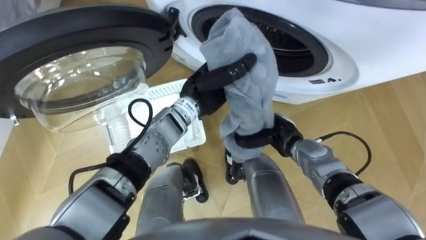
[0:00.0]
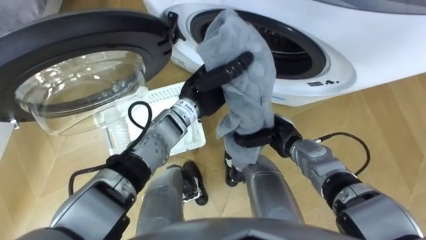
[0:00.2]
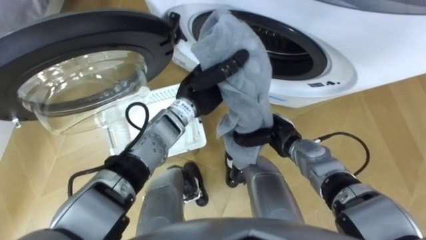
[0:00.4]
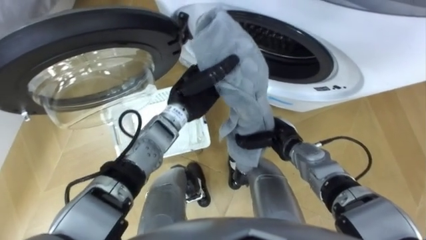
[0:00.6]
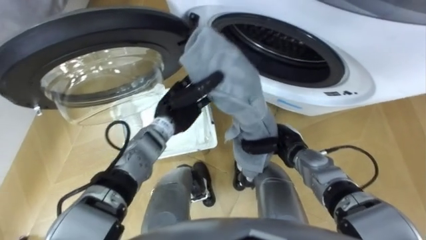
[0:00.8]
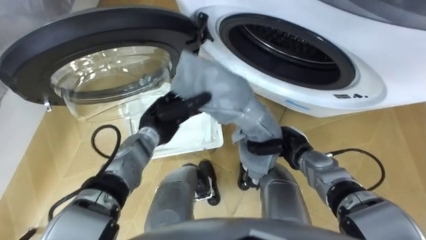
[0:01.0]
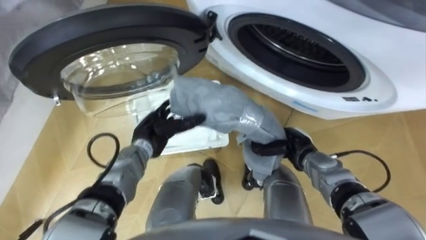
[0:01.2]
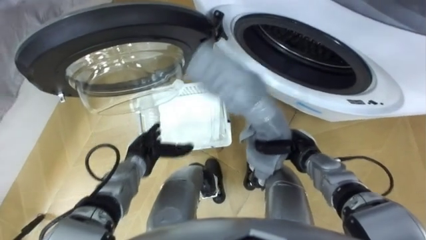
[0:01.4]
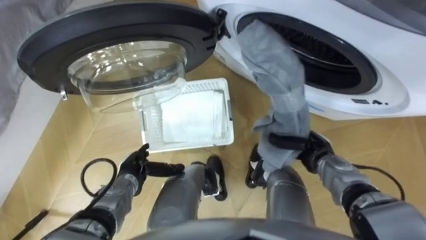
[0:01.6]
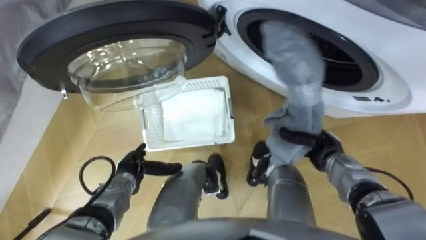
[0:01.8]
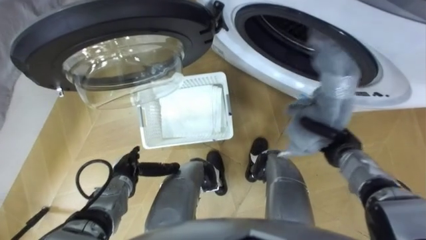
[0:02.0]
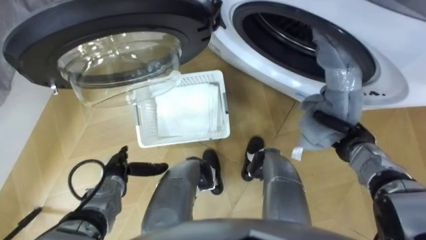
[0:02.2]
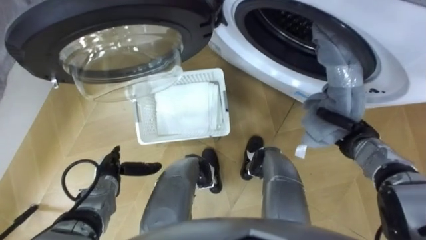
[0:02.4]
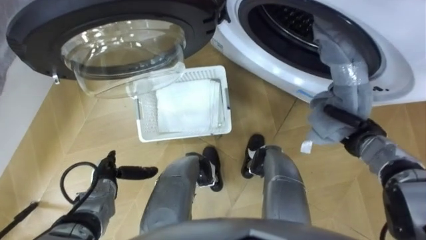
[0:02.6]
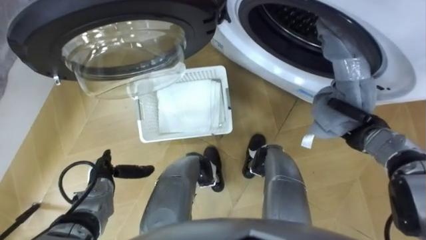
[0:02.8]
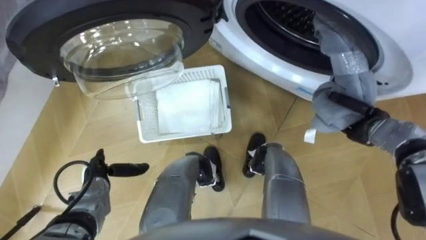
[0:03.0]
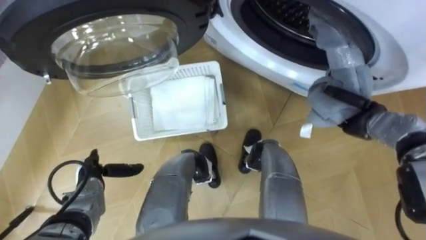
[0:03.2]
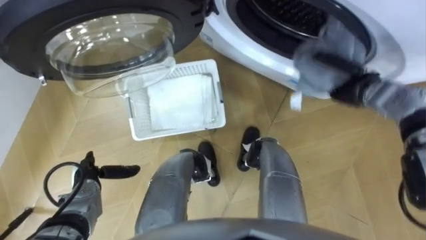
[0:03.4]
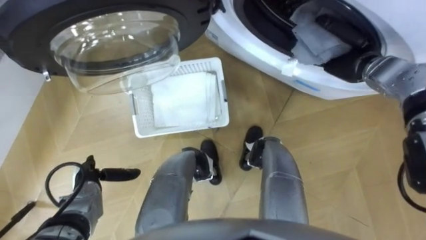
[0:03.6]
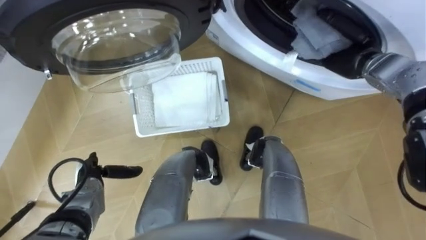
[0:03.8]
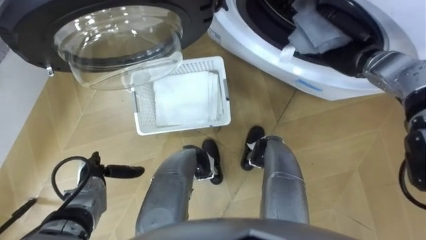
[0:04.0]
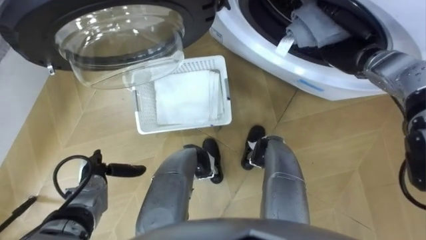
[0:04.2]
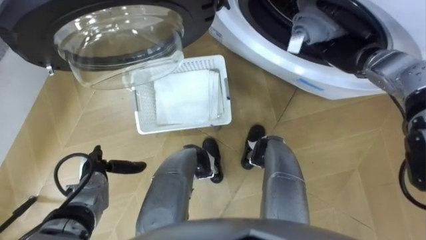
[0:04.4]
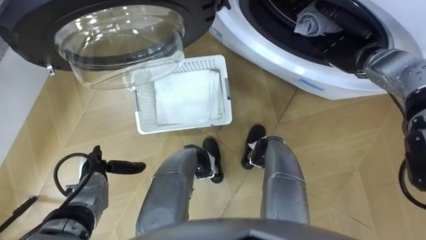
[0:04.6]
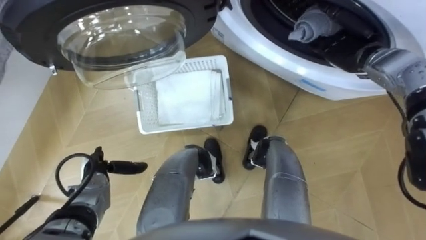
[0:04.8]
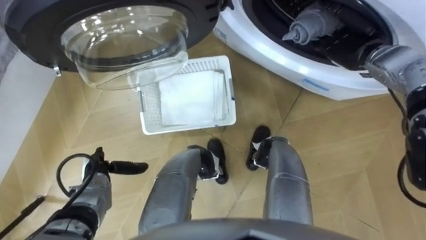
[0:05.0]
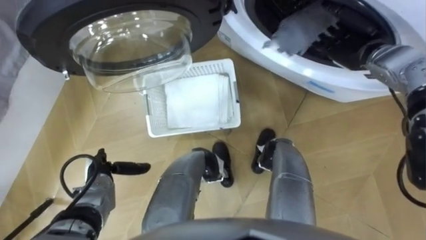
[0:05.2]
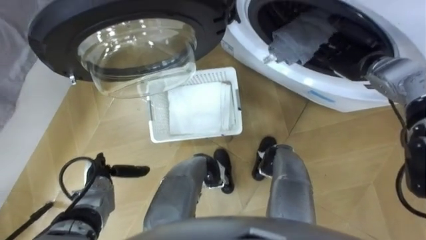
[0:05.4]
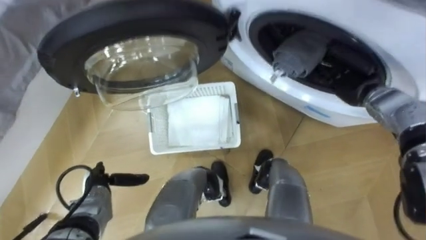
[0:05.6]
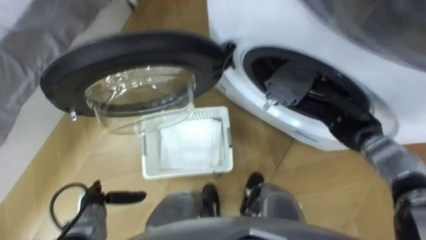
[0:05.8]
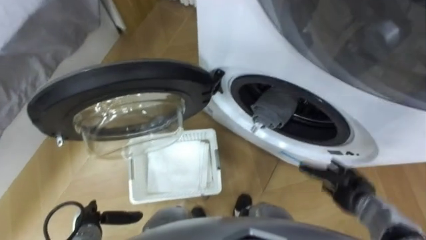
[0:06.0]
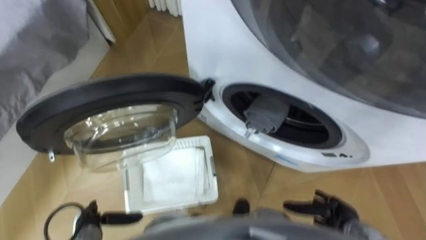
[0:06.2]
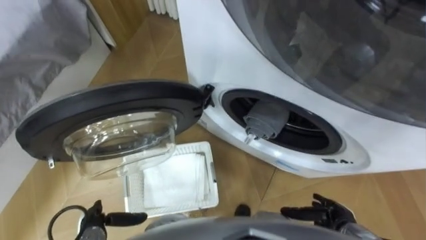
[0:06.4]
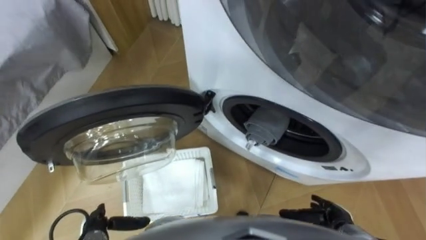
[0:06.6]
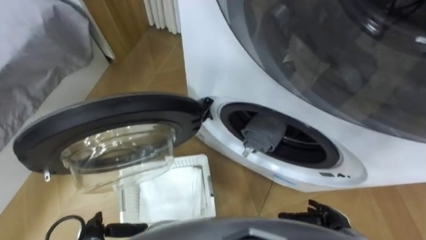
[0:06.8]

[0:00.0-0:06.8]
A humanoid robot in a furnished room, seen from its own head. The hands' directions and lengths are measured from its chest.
Task of the whole recording: Take the towel from the basket and put it into the washing machine.
0:00.0 to 0:01.4: The right hand travels to the right by some 5 cm, while the left hand travels downward, to the left and backward by roughly 25 cm, and opens its fingers.
0:01.4 to 0:02.8: The right hand is displaced to the right by roughly 15 cm, while the left hand shifts about 10 cm to the left and backward.
0:02.8 to 0:04.0: The right hand shifts about 20 cm forward, upward and to the left.
0:04.0 to 0:05.4: The right hand opens up.
0:05.4 to 0:06.8: The left hand moves backward, about 15 cm. Meanwhile the right hand heads backward and downward, covering about 40 cm.
